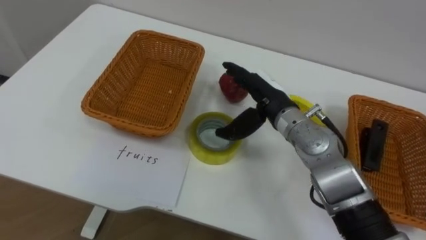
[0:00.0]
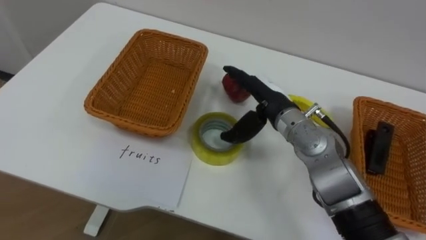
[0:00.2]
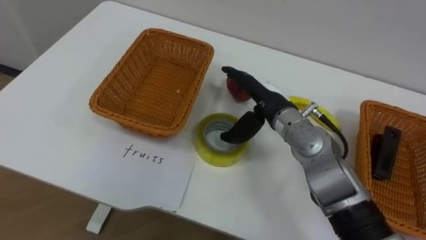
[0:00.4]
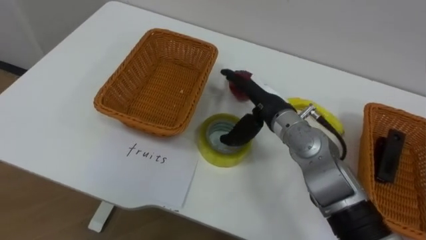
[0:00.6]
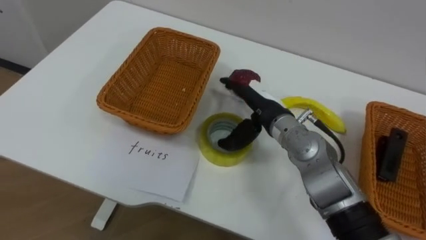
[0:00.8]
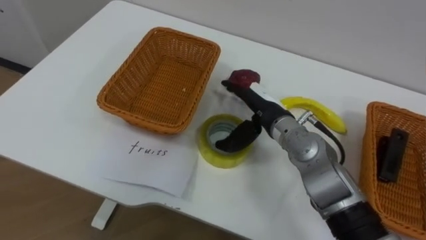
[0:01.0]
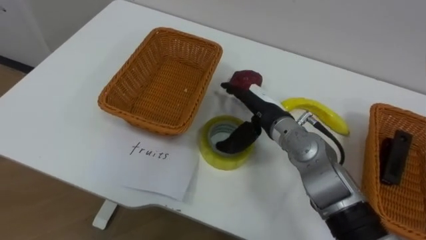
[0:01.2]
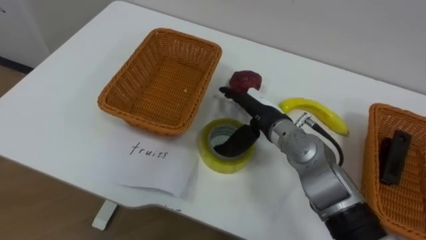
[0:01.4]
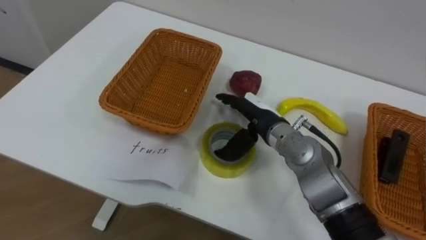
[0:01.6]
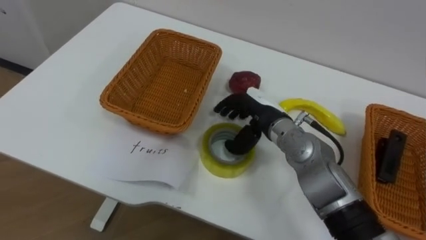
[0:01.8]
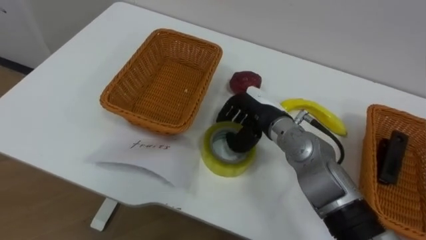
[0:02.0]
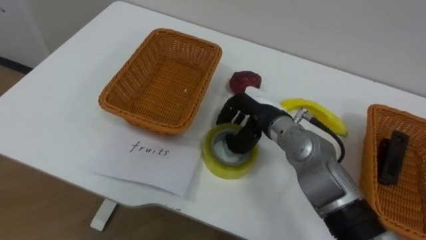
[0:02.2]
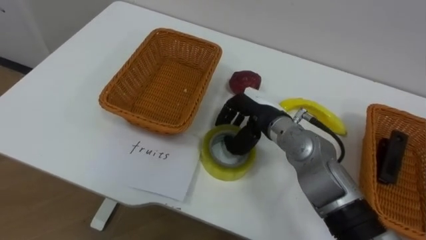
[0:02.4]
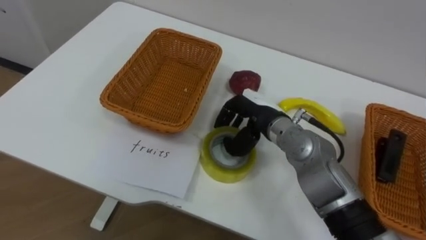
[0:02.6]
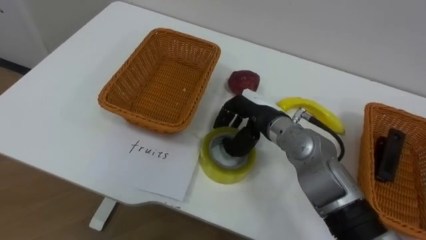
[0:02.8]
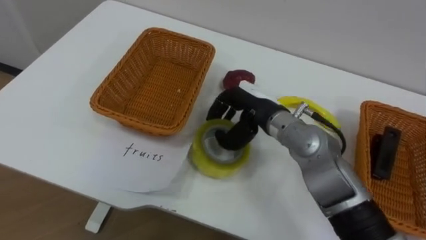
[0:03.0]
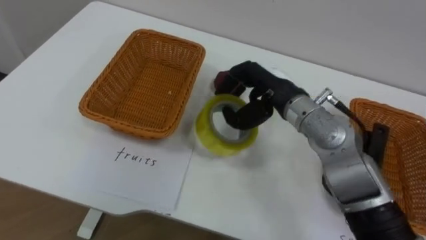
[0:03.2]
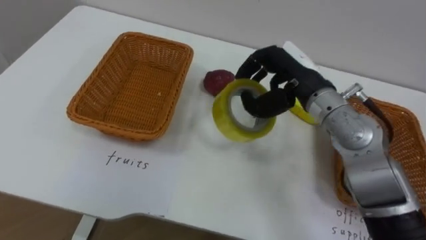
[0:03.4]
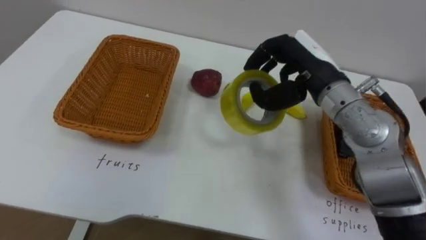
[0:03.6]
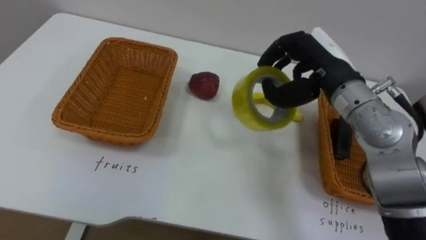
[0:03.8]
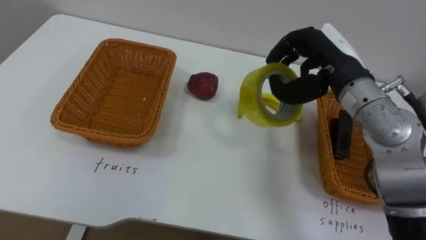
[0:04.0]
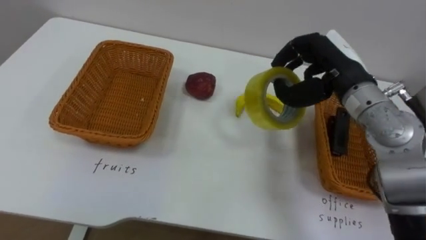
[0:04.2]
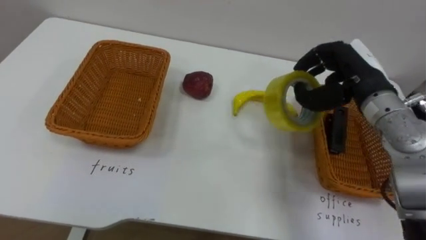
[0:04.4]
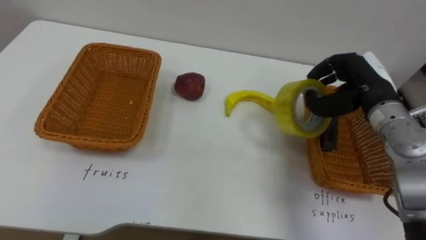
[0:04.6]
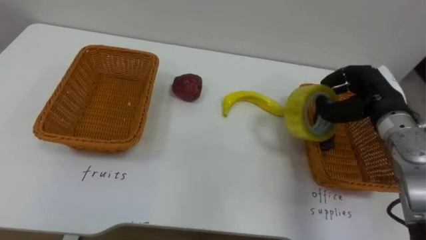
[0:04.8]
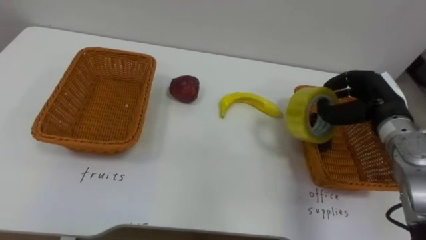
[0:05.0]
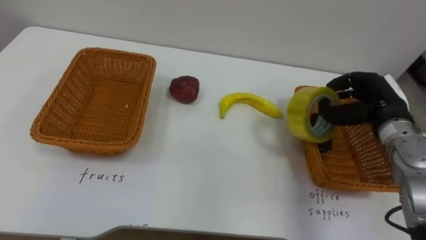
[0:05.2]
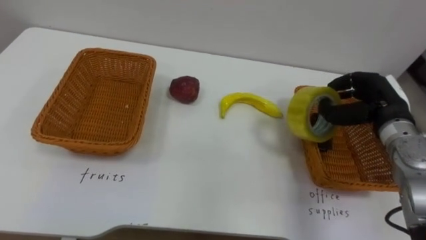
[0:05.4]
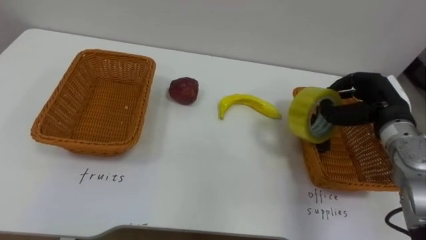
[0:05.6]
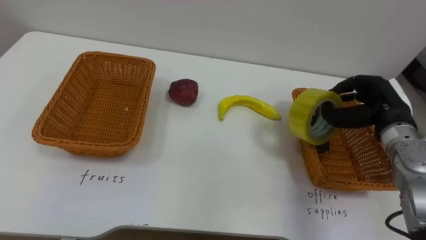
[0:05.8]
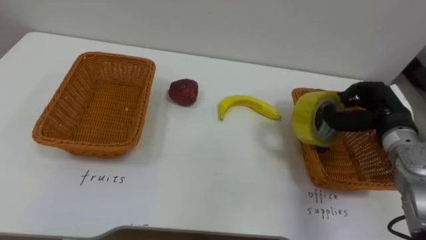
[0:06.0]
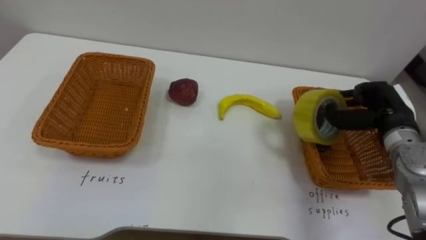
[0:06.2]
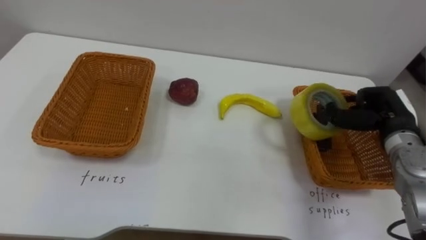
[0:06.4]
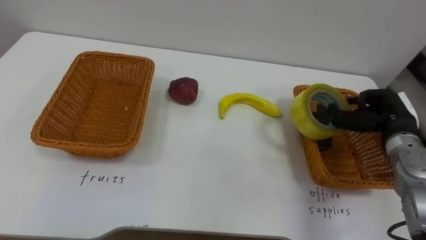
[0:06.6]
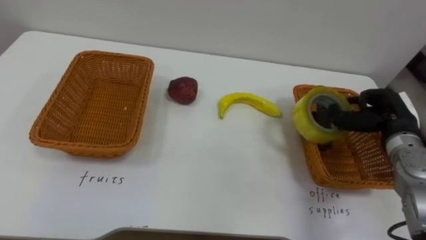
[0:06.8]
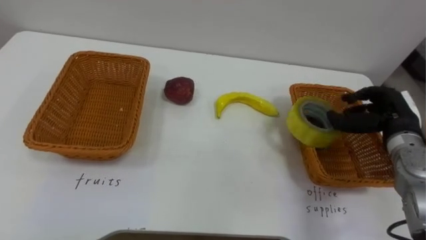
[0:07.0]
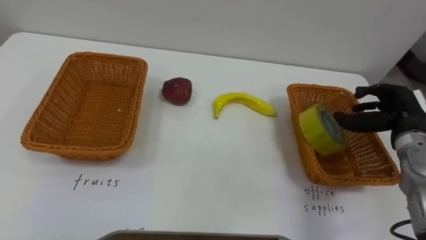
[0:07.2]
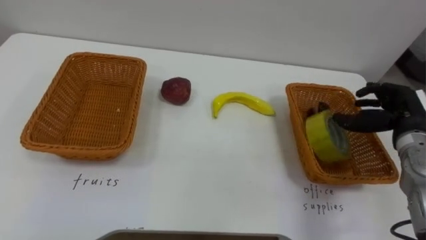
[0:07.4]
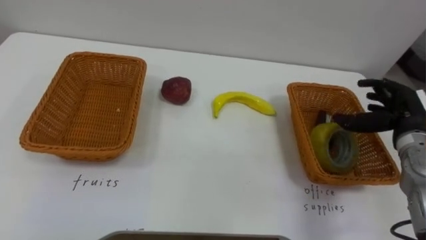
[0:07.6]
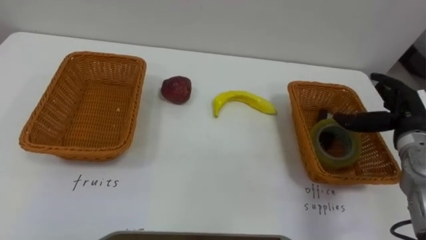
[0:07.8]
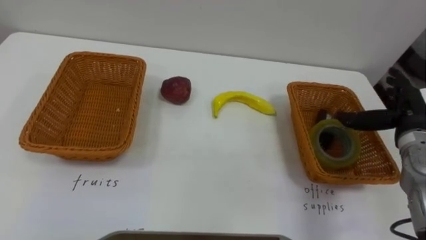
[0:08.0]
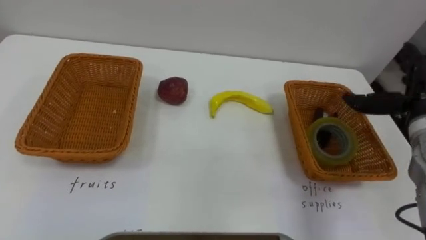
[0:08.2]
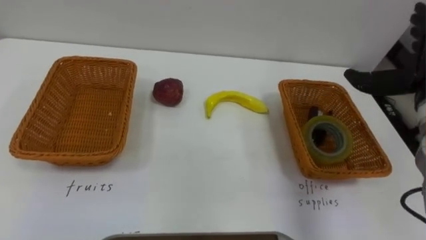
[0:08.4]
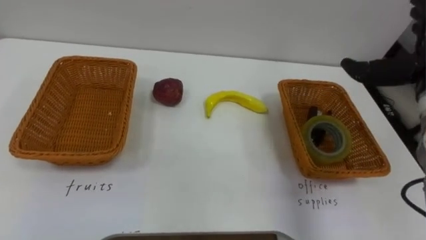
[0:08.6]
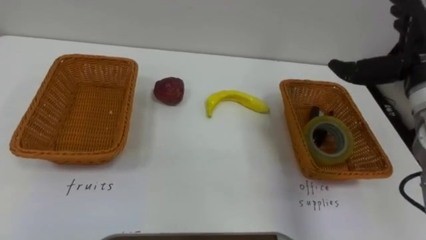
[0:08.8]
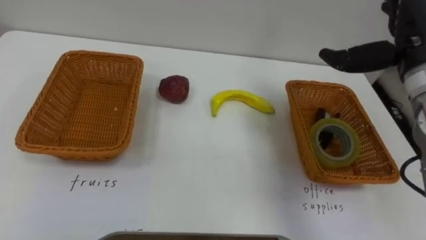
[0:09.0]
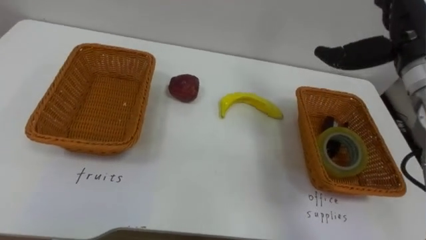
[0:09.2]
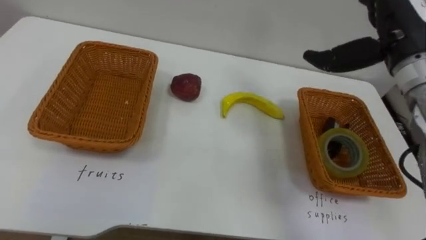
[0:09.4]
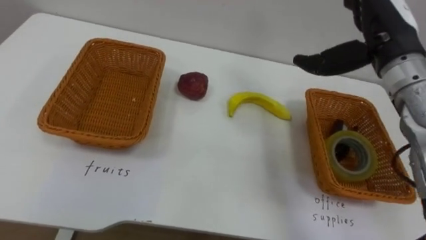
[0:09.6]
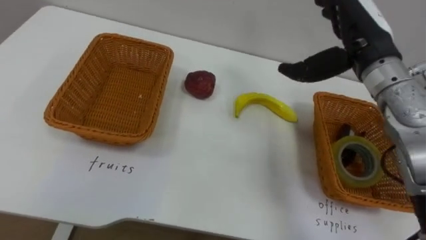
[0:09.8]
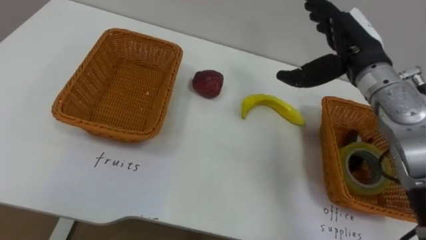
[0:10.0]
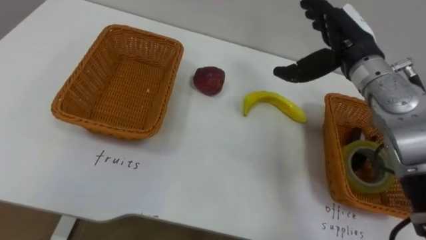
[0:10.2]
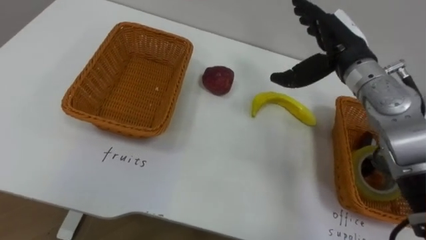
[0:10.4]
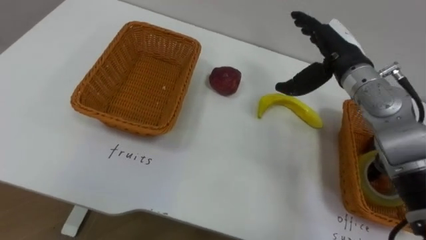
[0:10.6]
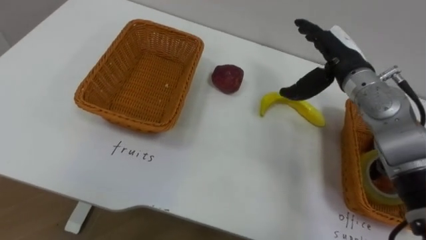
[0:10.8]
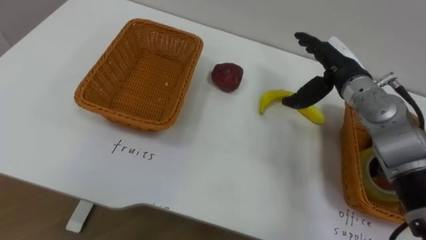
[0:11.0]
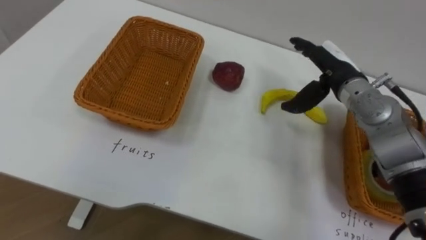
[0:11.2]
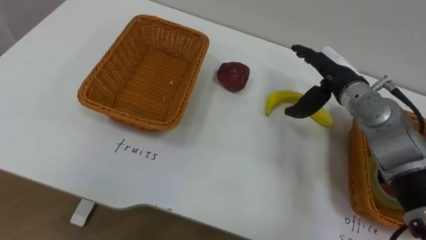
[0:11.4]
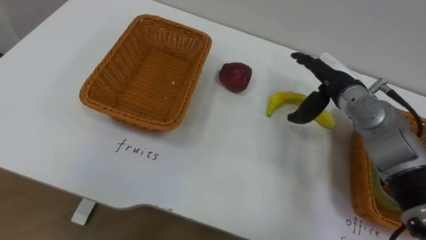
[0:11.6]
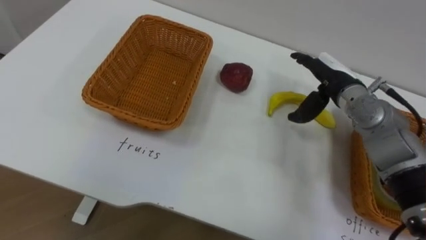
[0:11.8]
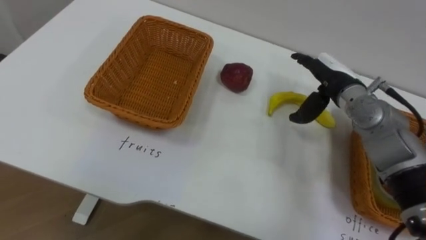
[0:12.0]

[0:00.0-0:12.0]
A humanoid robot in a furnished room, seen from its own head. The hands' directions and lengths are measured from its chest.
Task of the whole recording: Separate the items on the table and place them into the two baskets.
0:01.6 to 0:03.0: The right hand closes its fingers.
0:03.0 to 0:04.4: The right hand travels to the right and upward by about 15 cm.
0:04.4 to 0:06.0: The right hand shifts about 10 cm downward and to the right.
0:06.0 to 0:07.6: The right hand opens up.
0:09.0 to 0:10.4: The right hand goes some 10 cm to the left.
0:10.4 to 0:12.0: The right hand shifts some 10 cm downward.

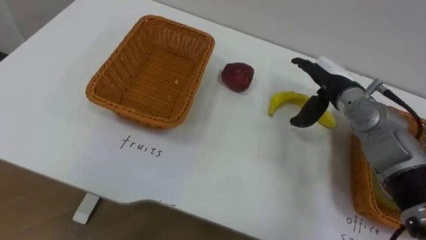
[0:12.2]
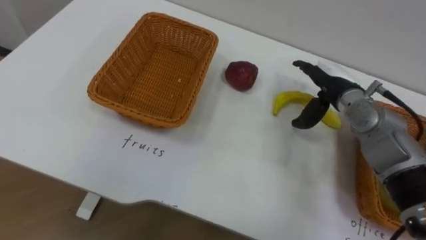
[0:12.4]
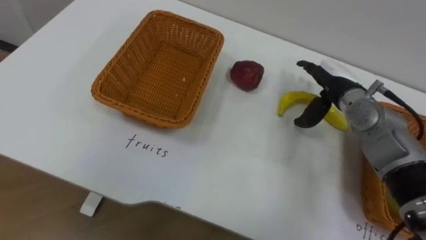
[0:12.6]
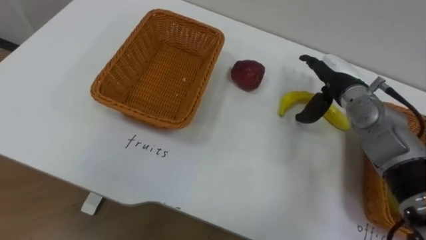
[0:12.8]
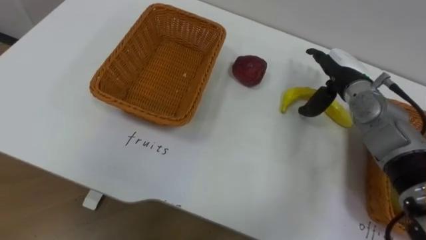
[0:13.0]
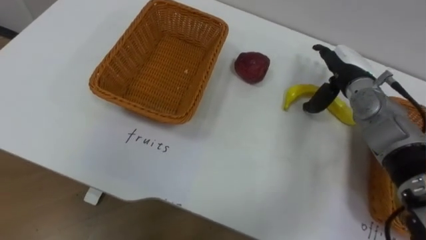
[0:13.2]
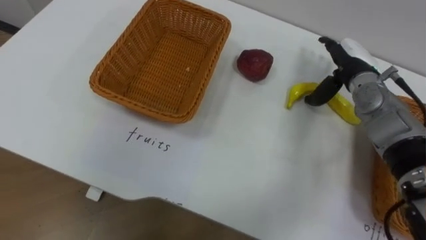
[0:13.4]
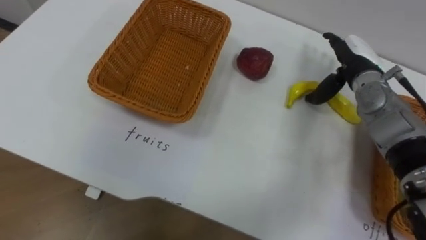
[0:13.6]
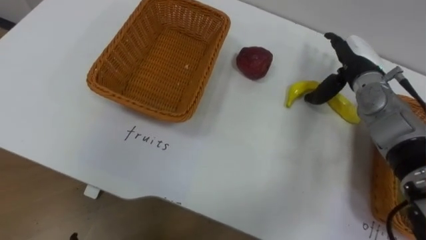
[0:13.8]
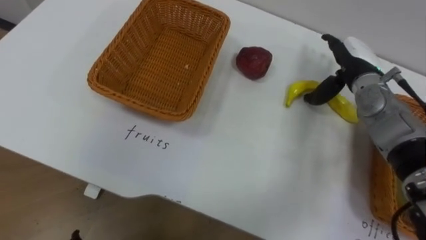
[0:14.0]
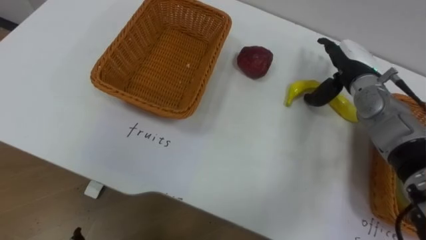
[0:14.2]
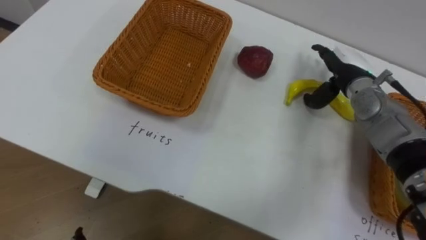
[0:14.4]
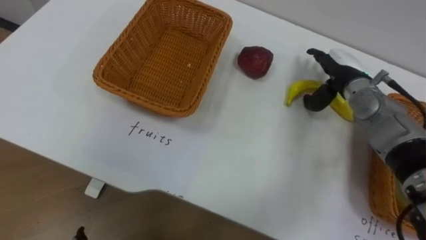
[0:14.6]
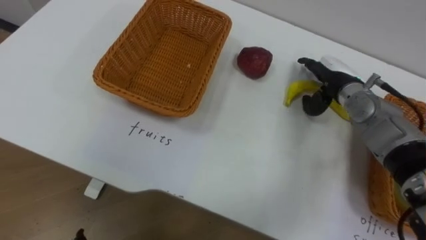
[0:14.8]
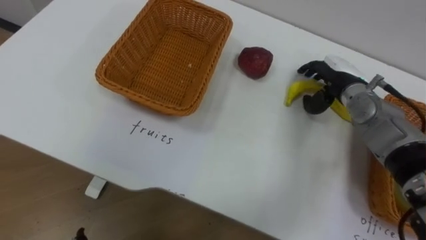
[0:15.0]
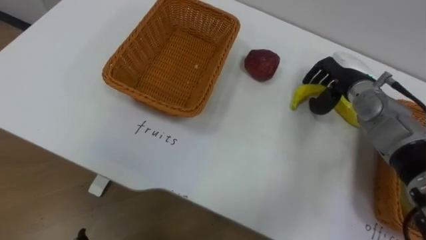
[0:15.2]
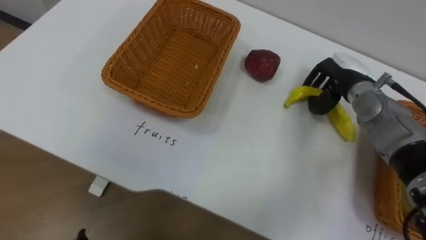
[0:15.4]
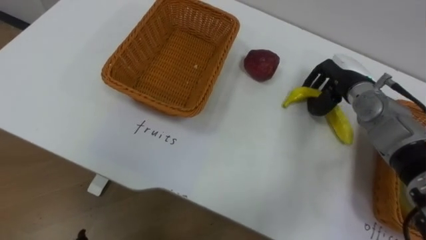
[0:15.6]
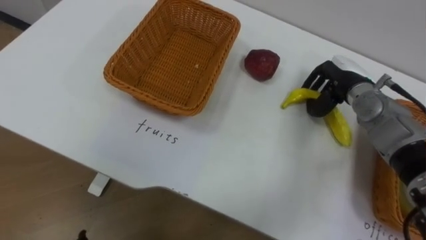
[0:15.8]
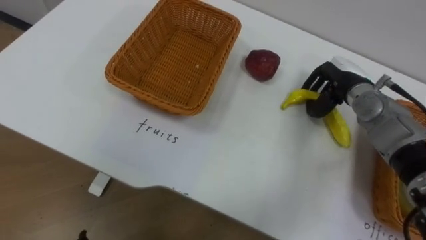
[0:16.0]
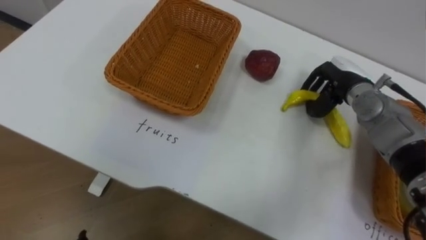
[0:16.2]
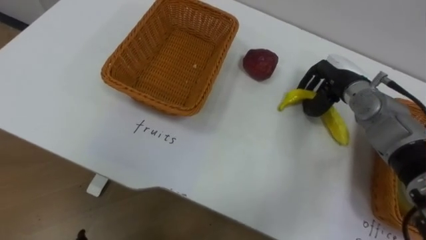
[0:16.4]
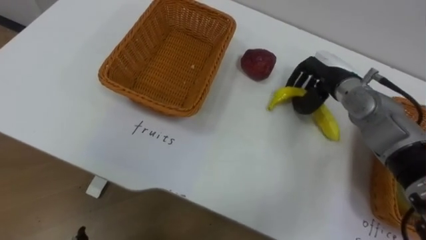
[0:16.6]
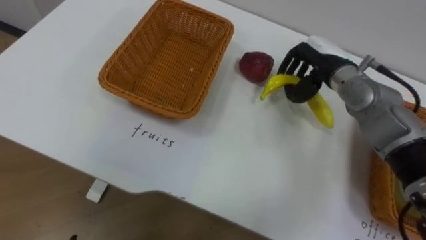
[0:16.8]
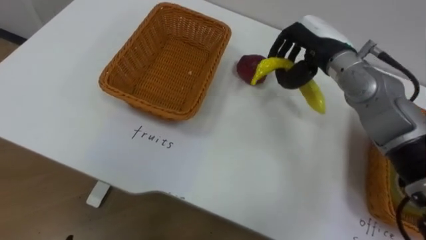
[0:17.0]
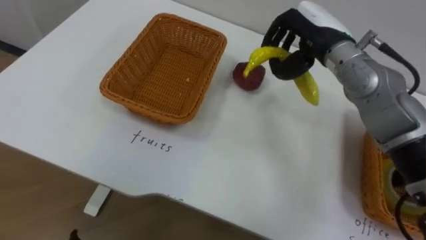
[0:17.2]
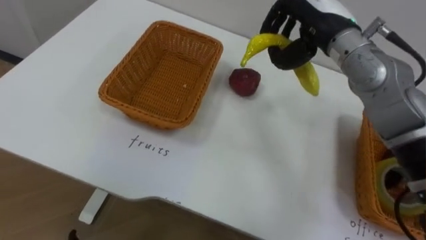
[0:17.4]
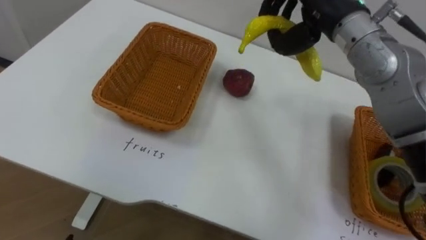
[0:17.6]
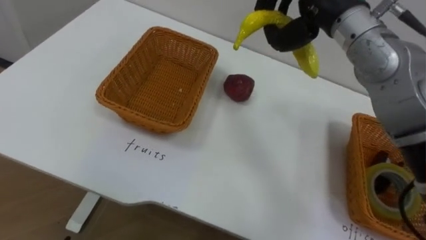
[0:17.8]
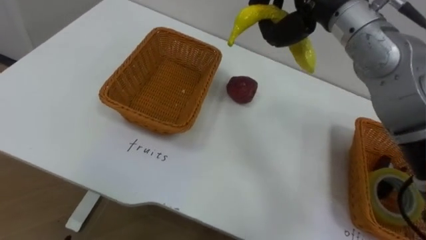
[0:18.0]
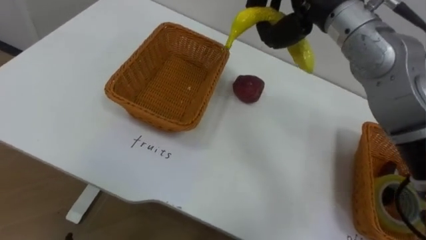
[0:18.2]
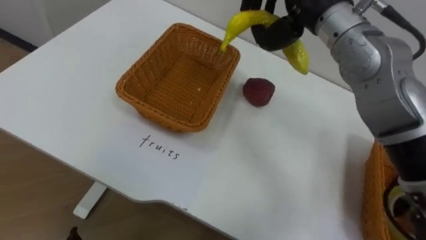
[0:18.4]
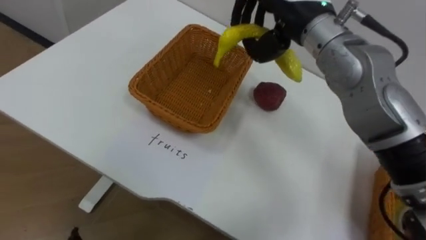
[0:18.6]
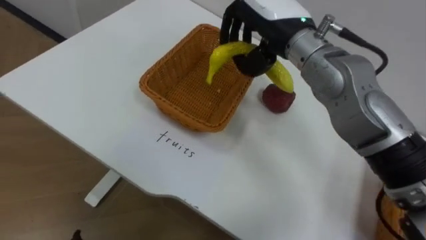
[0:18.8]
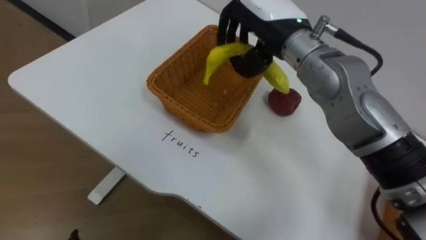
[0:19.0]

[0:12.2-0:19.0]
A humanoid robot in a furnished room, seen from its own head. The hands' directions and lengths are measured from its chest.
Task of the whole recording: Separate the items on the table and place them into the two baskets.
0:12.2 to 0:13.6: The right hand ends up some 5 cm from where it was.
0:15.0 to 0:16.2: The right hand closes up.
